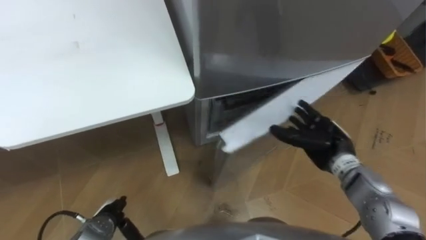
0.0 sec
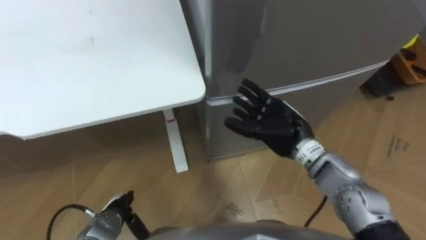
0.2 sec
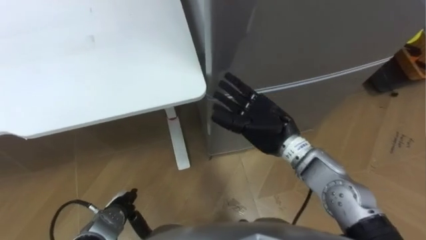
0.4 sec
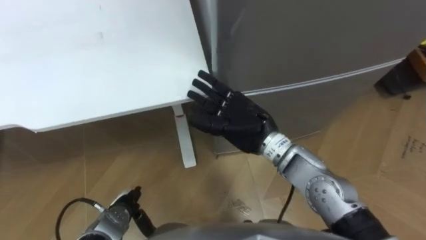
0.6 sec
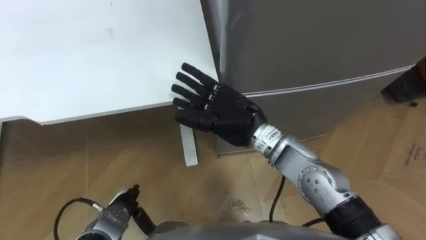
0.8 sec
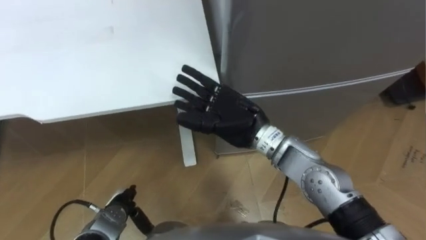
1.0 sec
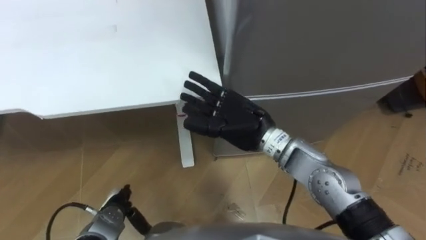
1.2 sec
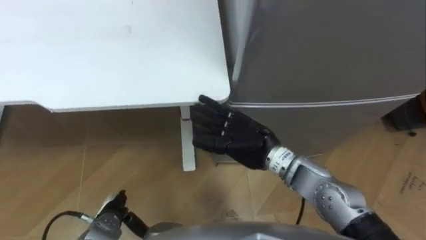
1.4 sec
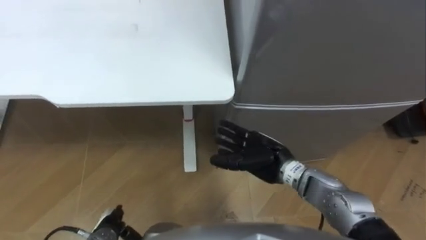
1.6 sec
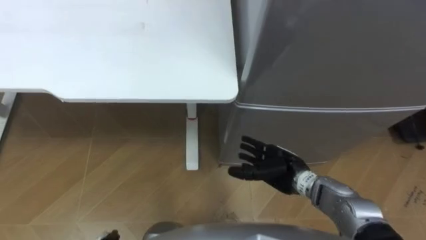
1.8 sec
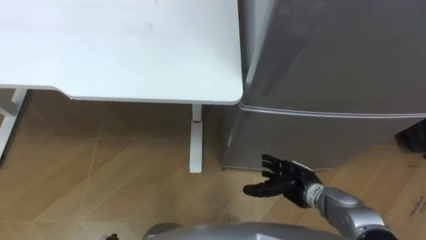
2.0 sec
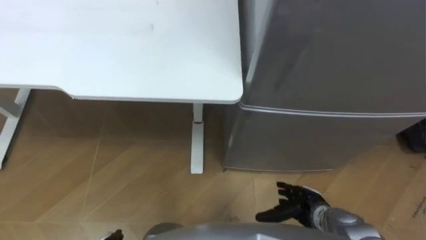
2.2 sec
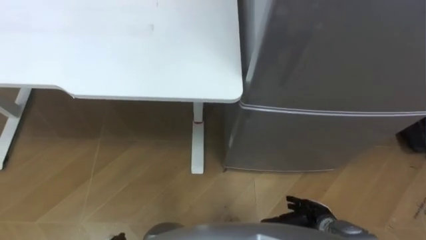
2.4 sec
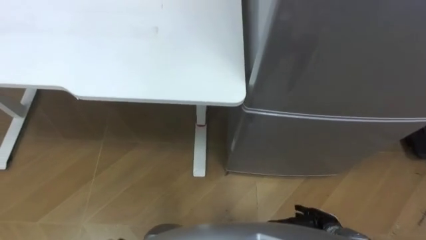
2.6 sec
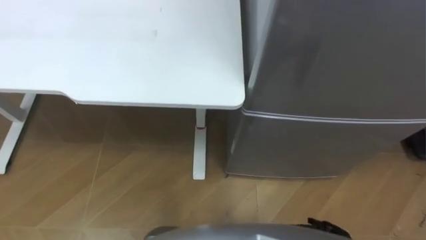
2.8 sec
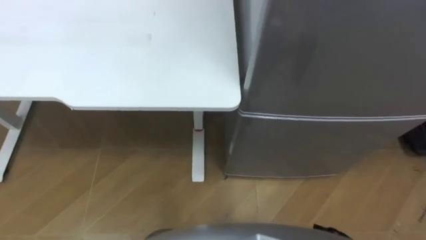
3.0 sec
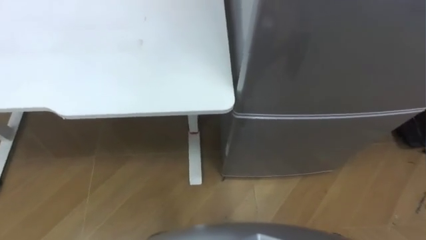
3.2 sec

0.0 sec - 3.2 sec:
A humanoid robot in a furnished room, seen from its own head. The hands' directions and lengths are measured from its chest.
Task of the whole recording: Place the drink on the table on the bottom shelf of the refrigerator, then close the drawer and the refrigerator door.
0.0 sec - 1.6 sec: The right hand shifts approximately 15 cm to the left.

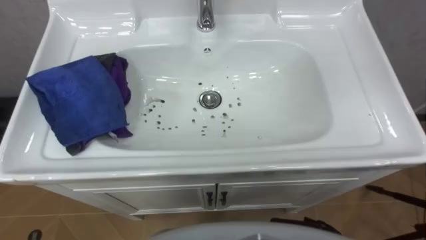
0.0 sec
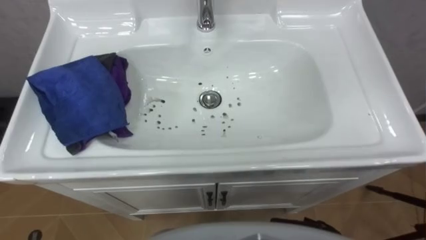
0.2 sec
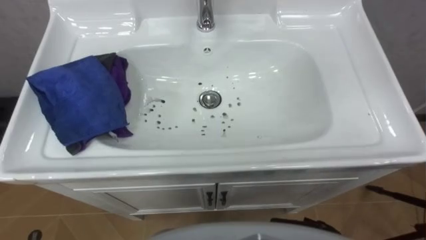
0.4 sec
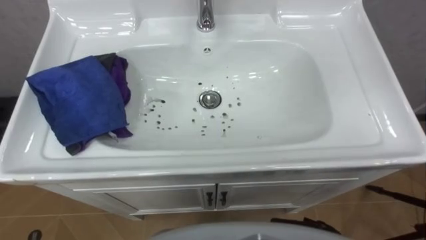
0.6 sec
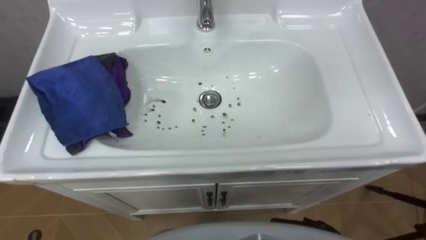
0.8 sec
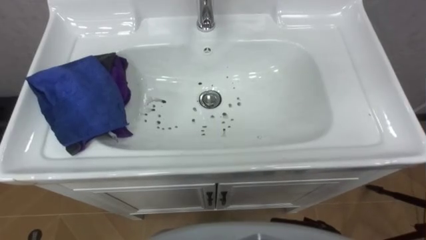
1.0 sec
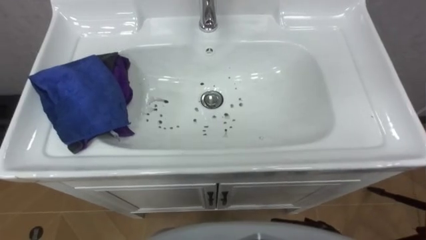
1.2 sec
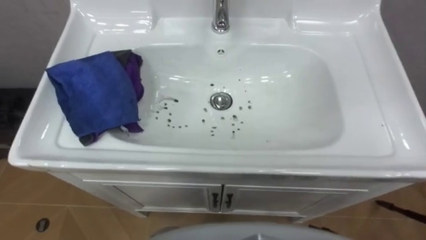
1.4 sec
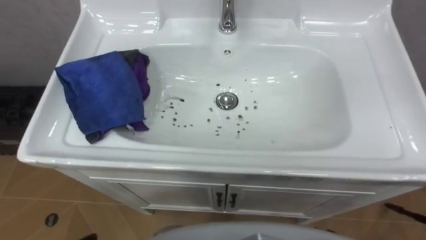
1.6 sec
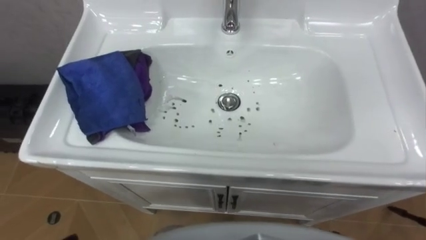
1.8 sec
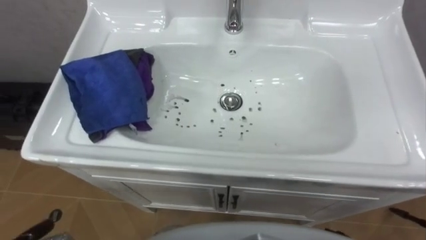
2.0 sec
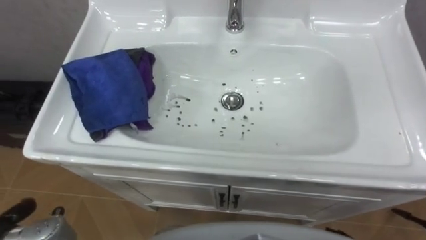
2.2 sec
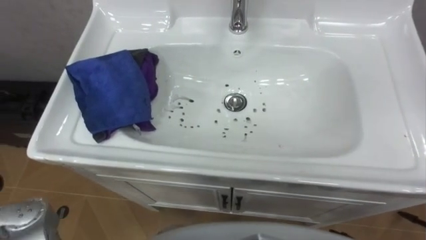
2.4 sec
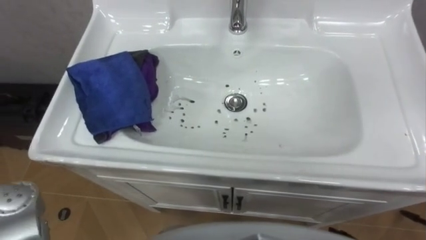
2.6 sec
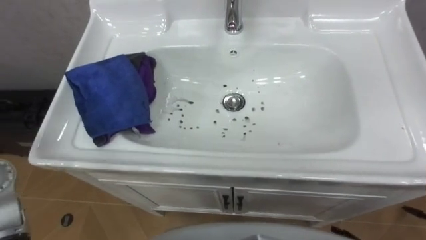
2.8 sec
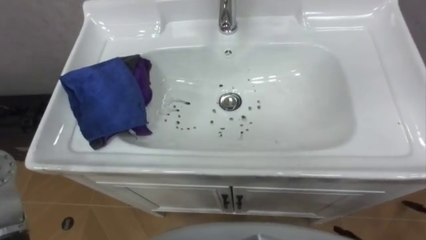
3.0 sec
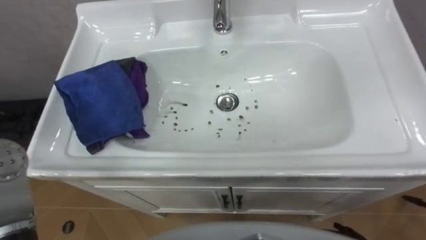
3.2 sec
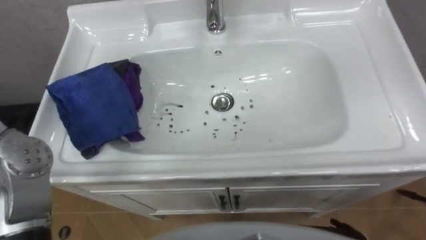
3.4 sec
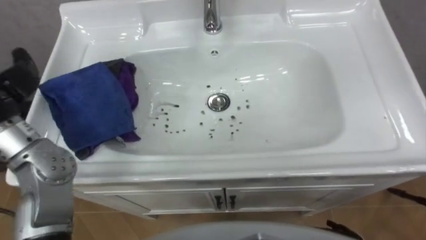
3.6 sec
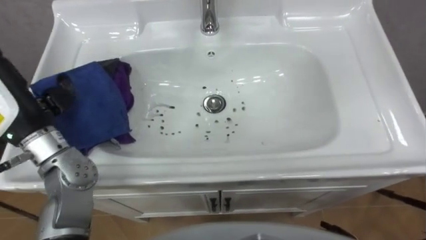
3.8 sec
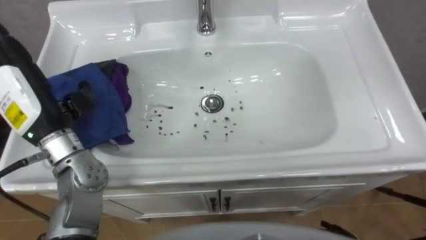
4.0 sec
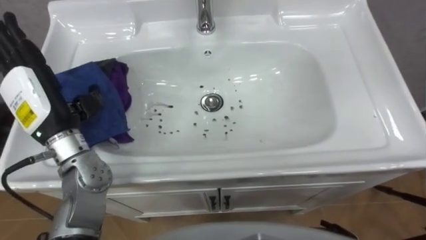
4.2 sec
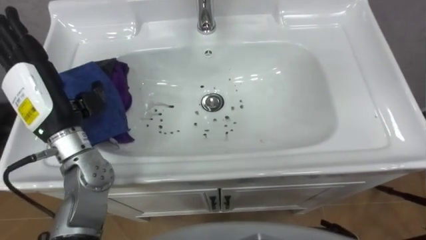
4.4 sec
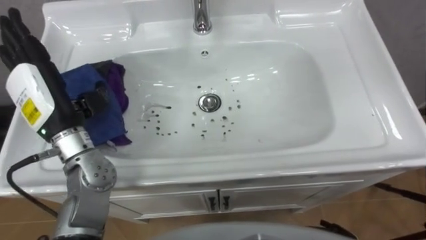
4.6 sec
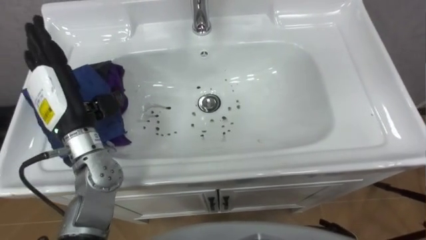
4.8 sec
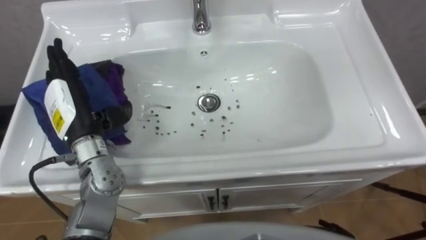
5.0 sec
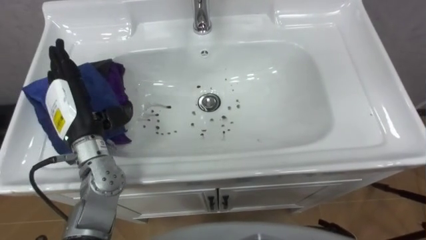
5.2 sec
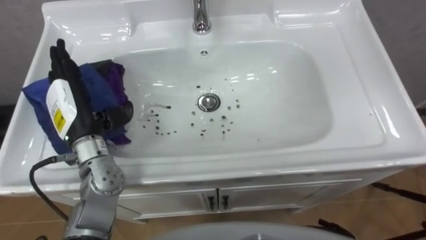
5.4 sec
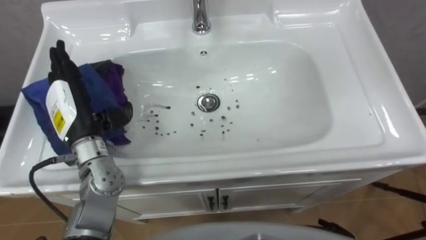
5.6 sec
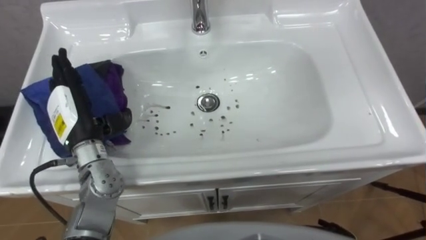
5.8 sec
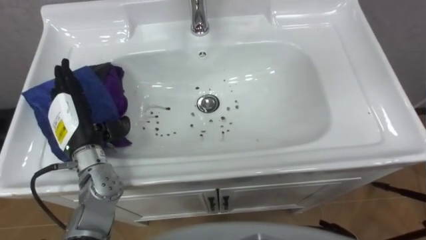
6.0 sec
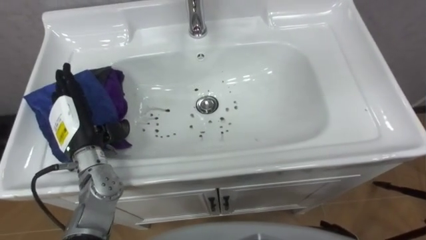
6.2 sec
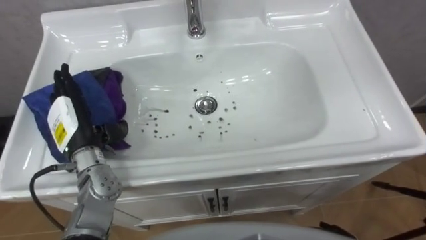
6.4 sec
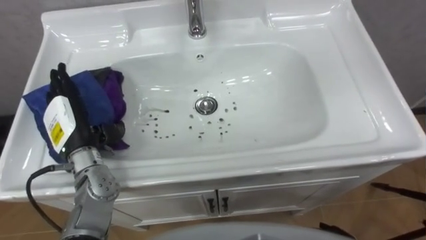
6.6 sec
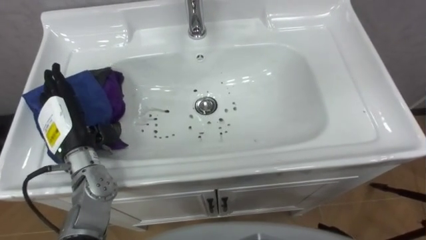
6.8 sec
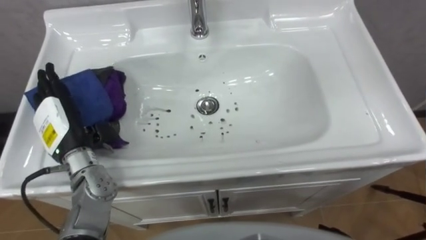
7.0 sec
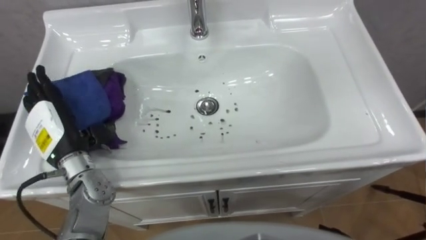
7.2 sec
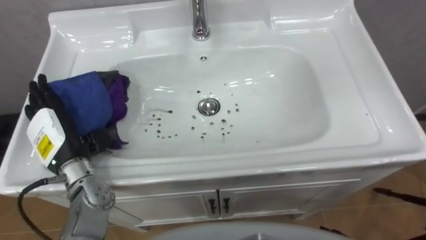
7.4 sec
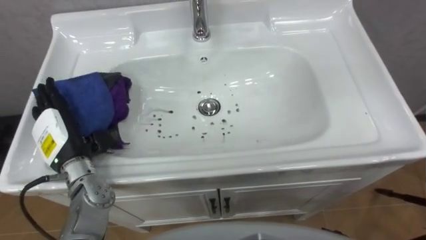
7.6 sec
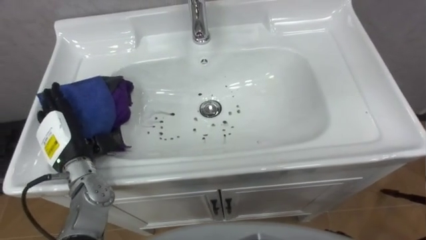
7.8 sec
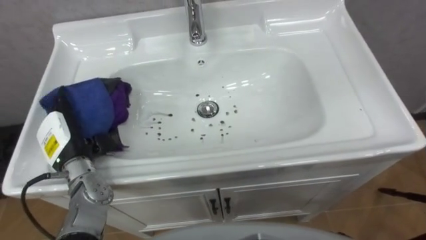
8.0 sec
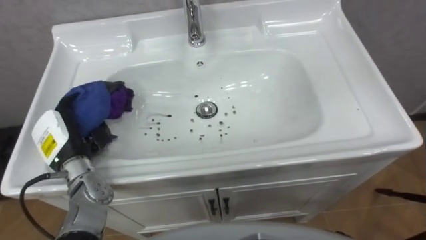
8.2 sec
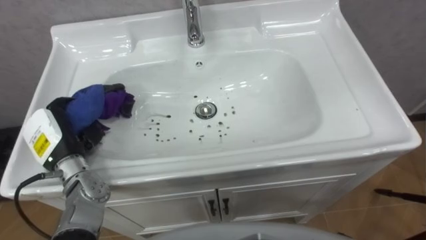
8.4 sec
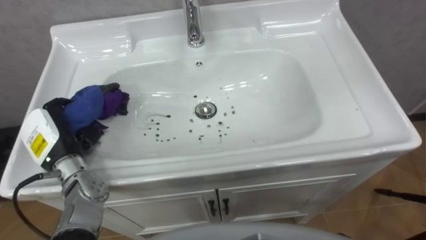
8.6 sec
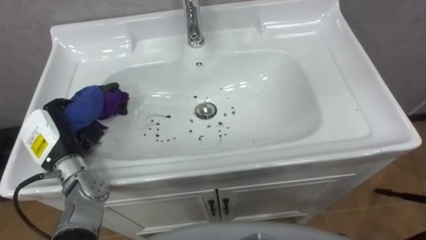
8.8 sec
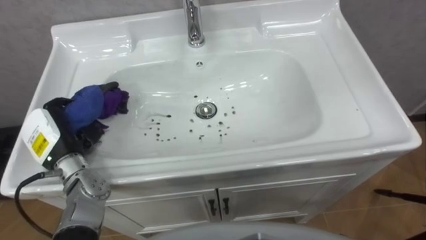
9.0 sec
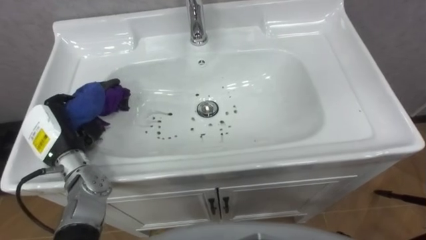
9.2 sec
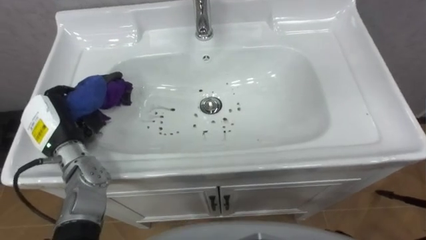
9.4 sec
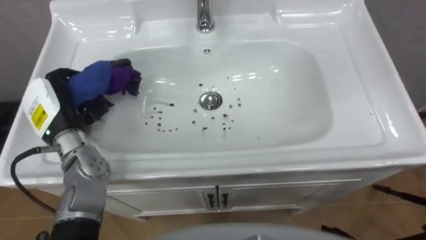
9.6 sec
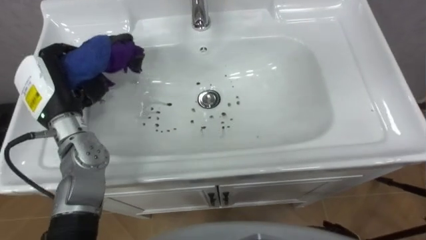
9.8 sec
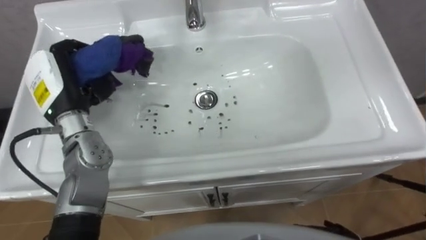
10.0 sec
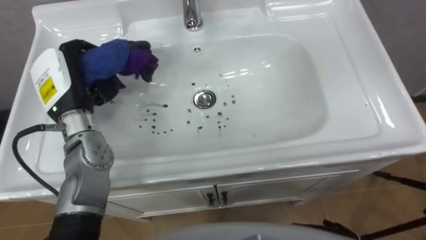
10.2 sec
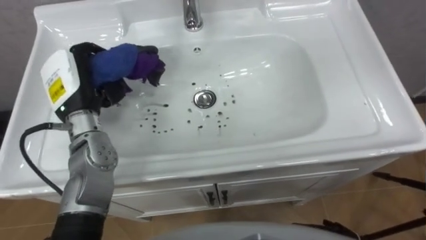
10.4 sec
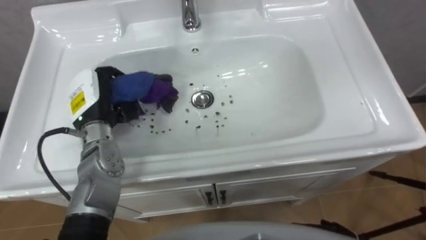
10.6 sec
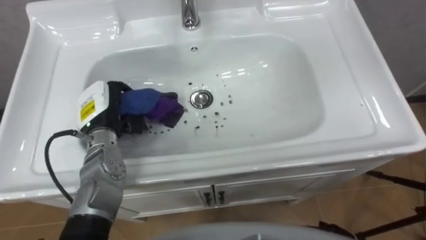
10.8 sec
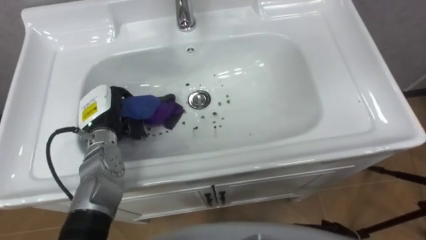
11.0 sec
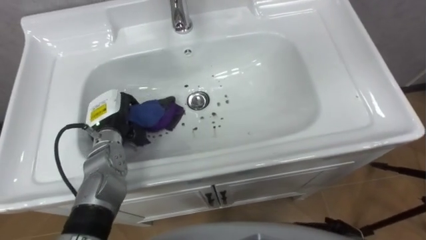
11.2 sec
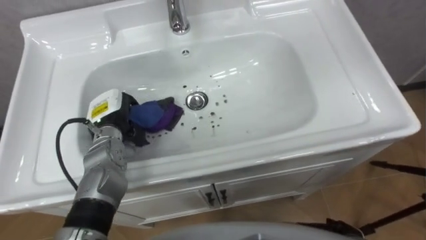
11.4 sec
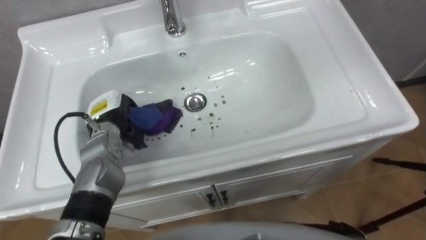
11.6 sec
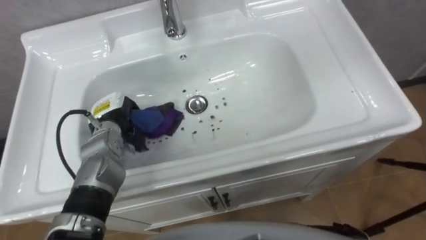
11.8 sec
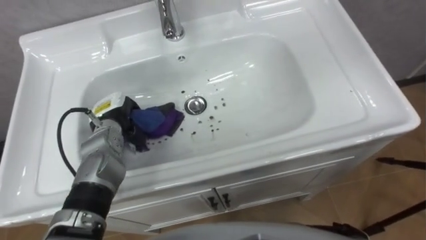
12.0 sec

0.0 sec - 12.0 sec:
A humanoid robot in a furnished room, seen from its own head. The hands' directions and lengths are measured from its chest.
Task of the whole recording: Use the cloth on the right to wipe away the black stain in the sink.
4.4 sec - 6.0 sec: The left hand shifts roughly 10 cm downward.
7.6 sec - 9.0 sec: The left hand closes its fingers.
9.0 sec - 10.4 sec: The left hand is displaced upward, forward and to the right by approximately 15 cm.
10.4 sec - 12.0 sec: The left hand travels downward by about 10 cm.

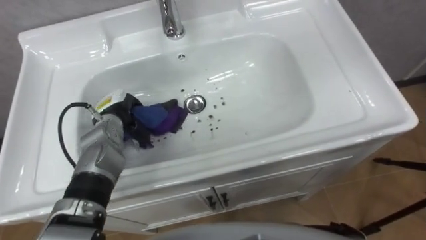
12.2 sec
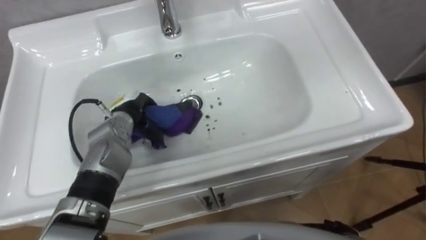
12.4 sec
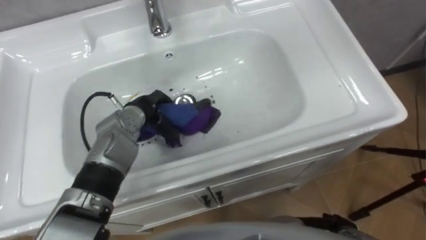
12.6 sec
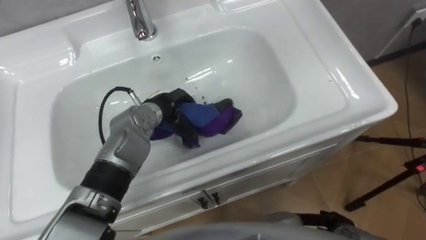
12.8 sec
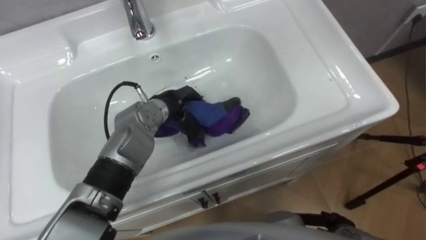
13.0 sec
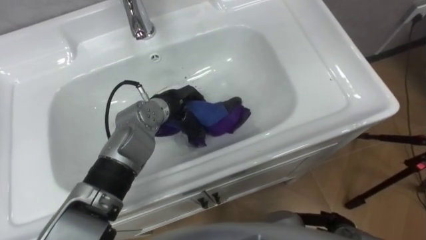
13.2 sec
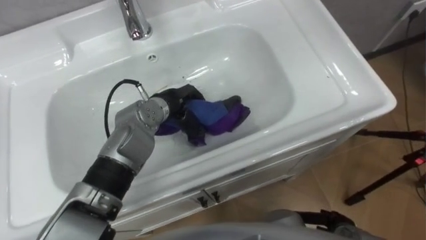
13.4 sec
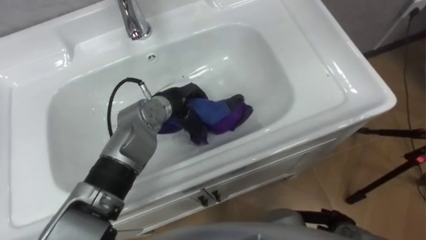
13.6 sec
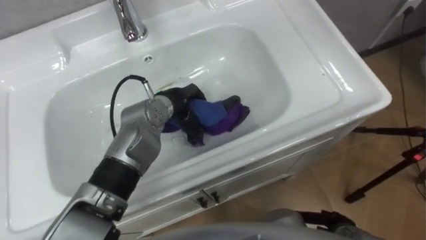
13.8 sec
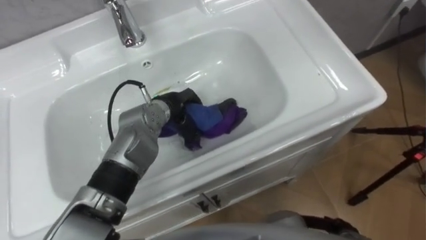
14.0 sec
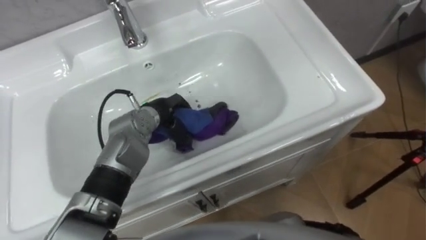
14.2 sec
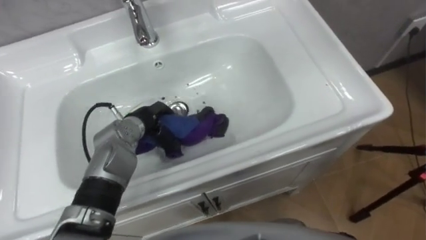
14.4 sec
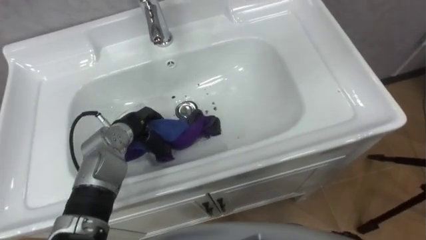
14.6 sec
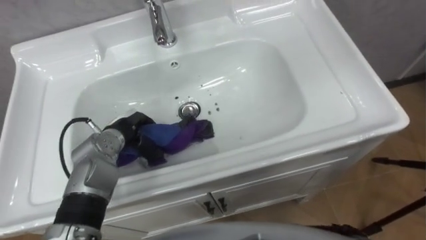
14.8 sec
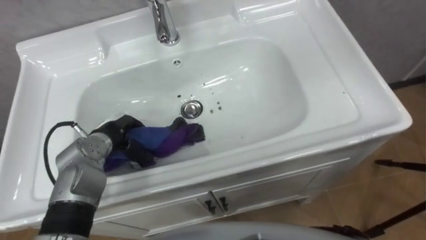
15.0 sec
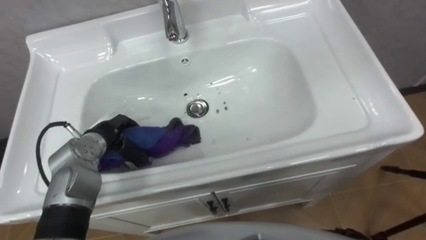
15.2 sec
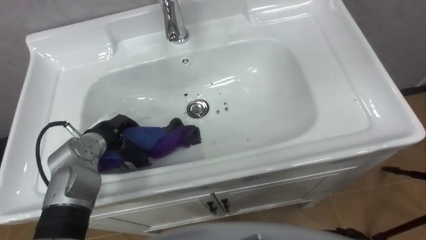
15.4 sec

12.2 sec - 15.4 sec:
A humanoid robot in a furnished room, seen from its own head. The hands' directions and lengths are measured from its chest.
Task of the whole recording: Use the cloth on the right to wipe away the black stain in the sink.
12.2 sec - 13.8 sec: The left hand moves to the right, some 15 cm.
13.8 sec - 15.4 sec: The left hand shifts about 15 cm to the left and backward.
